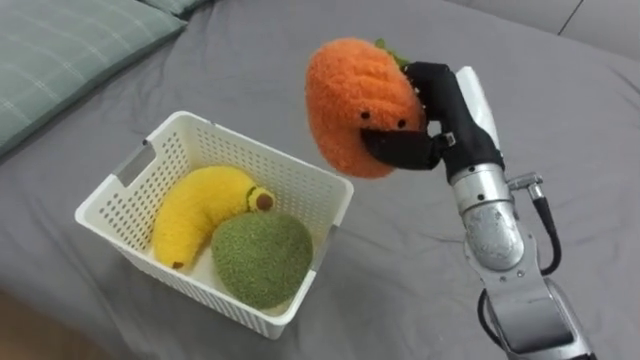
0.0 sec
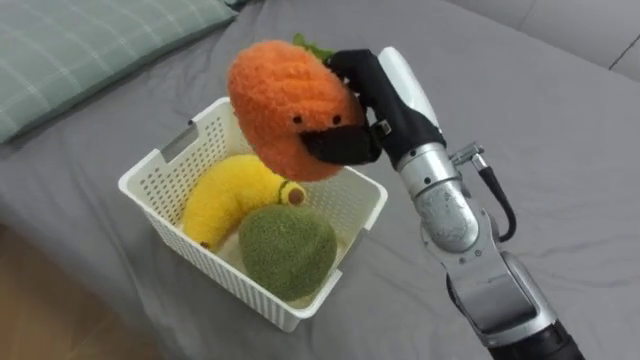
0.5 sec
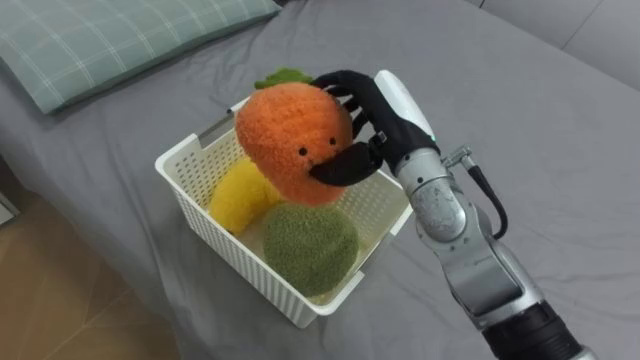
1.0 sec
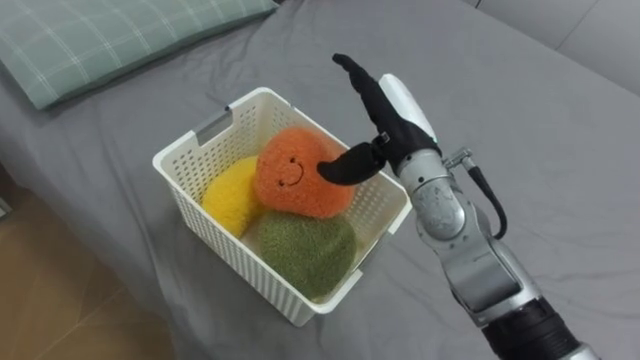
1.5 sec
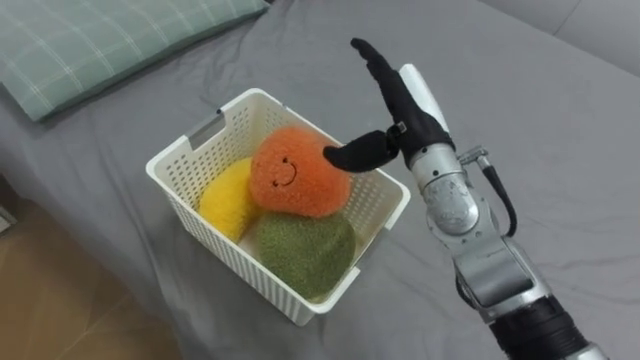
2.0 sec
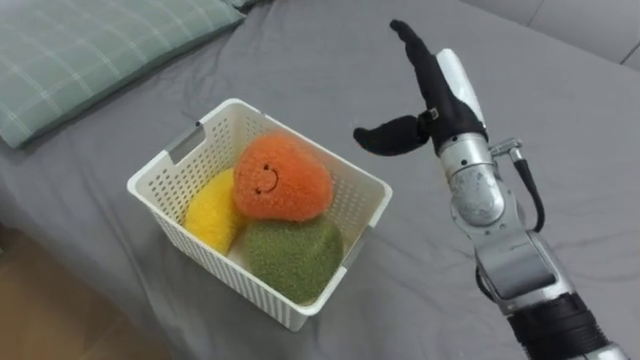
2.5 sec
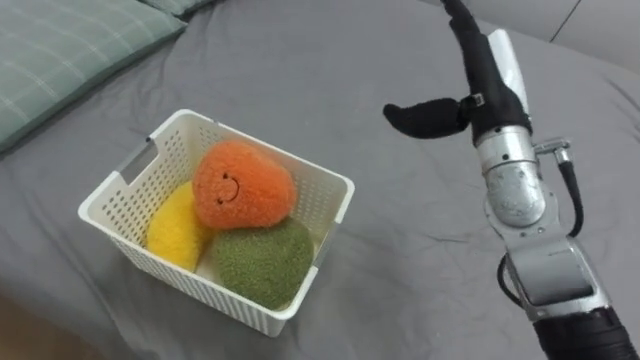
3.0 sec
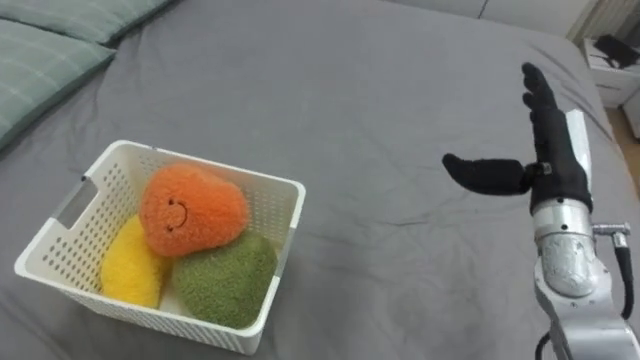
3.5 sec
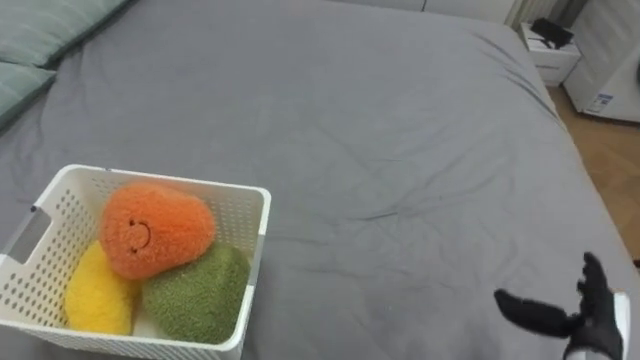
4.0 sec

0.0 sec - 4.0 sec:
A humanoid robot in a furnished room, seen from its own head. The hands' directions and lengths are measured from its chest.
Task of the whole recording: Put the toys on the bed into the basket on the left.
0.0 sec - 2.0 sec: The right hand is displaced to the left by about 5 cm, and opens its fingers.
2.0 sec - 4.0 sec: The right hand goes some 35 cm to the right, downward and backward.

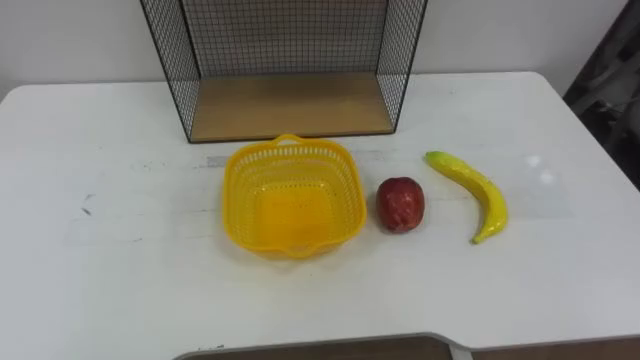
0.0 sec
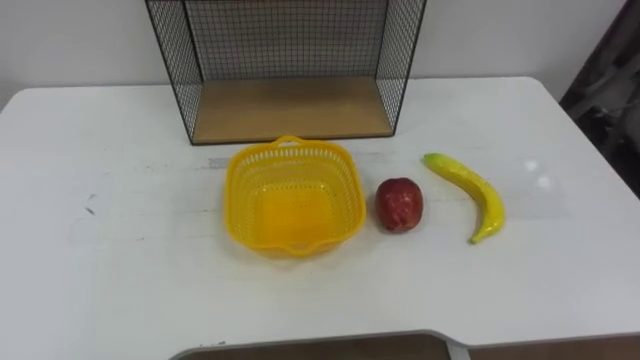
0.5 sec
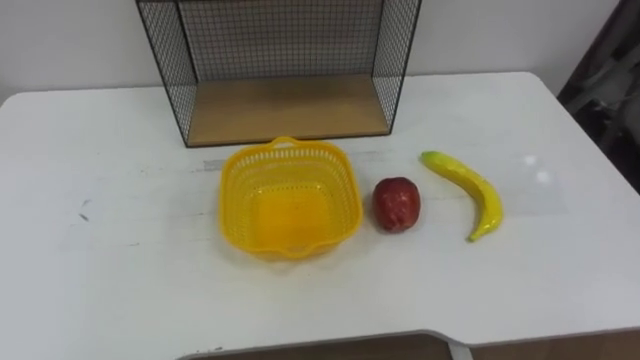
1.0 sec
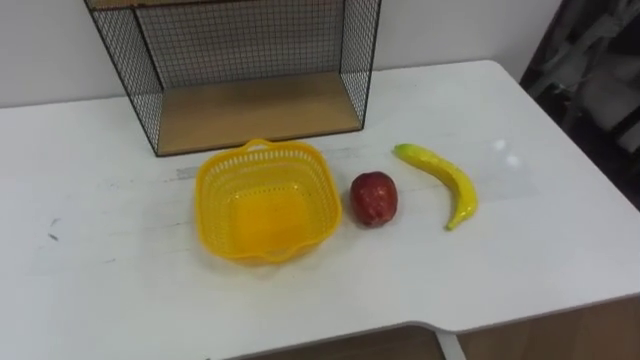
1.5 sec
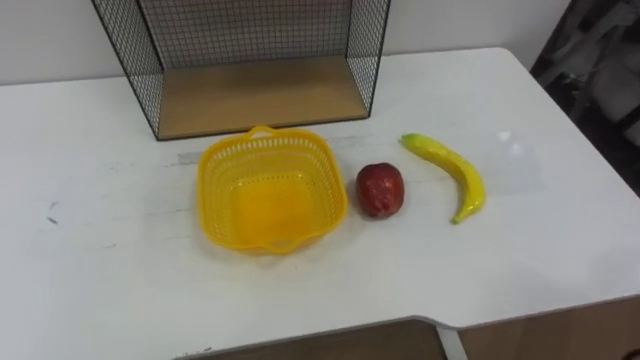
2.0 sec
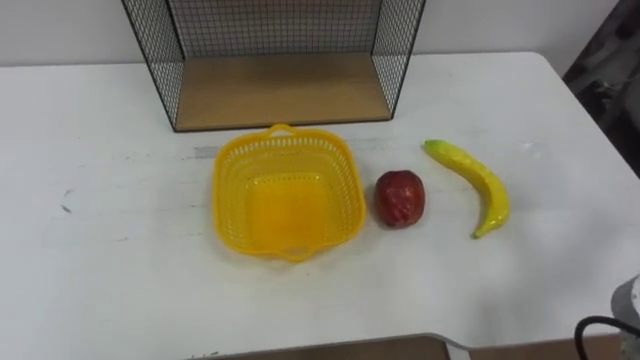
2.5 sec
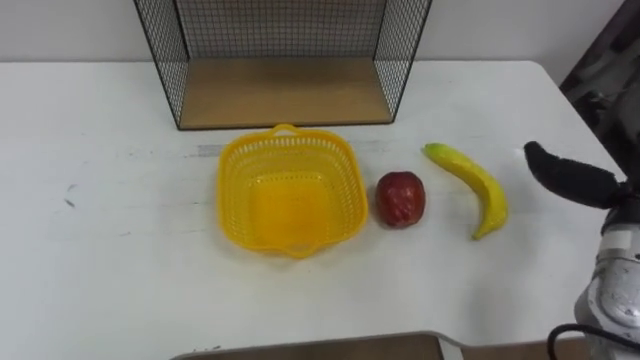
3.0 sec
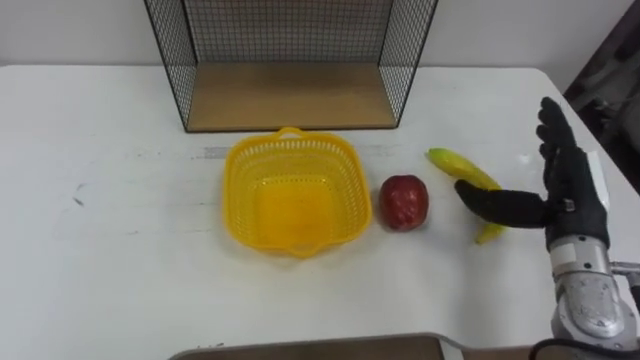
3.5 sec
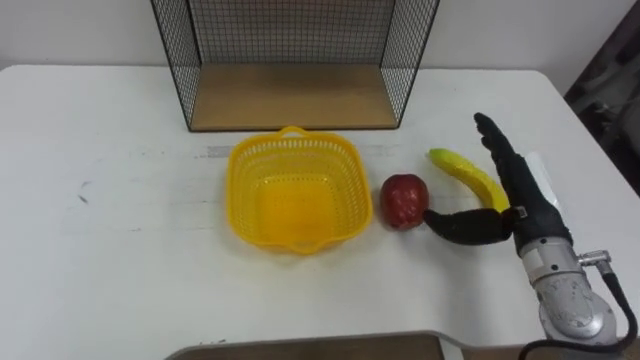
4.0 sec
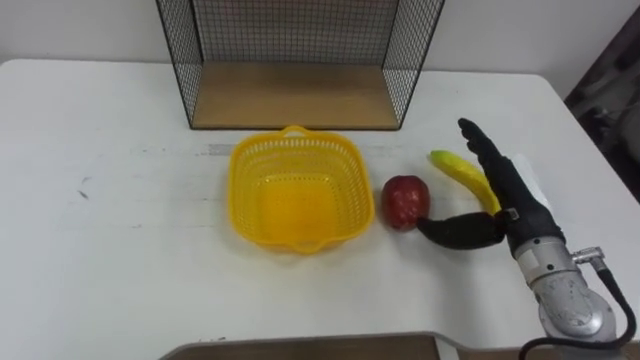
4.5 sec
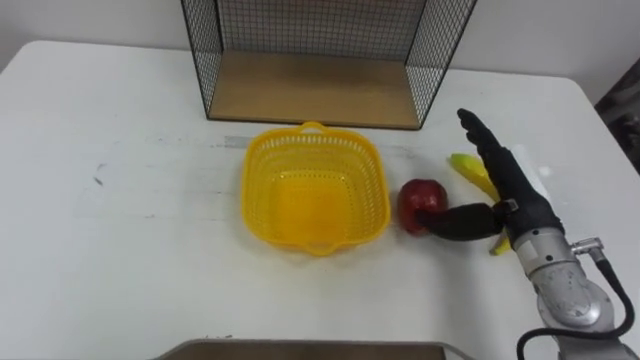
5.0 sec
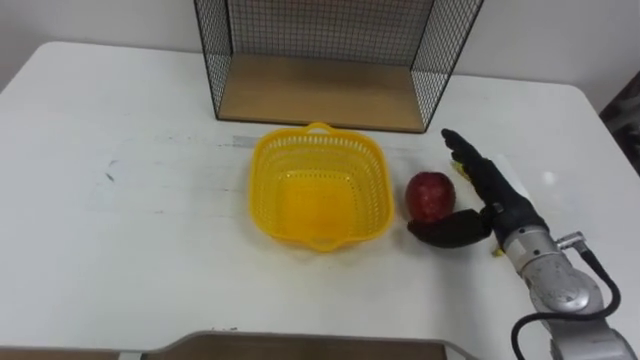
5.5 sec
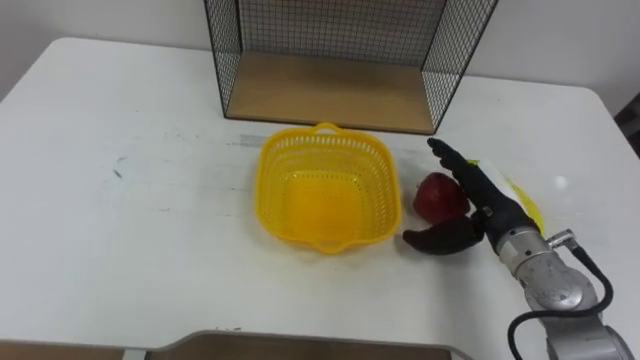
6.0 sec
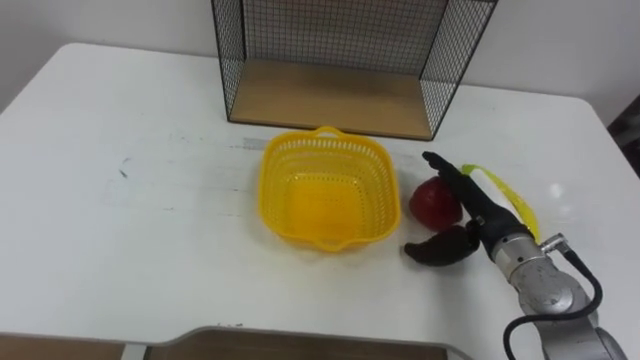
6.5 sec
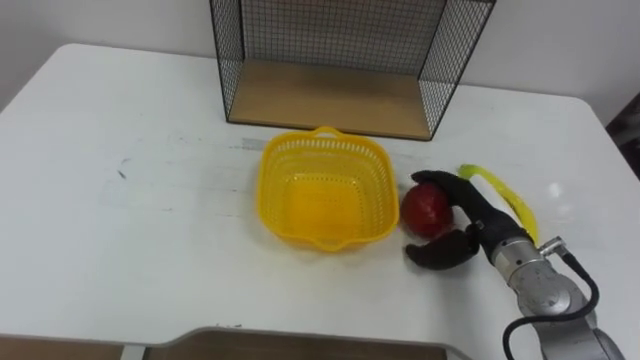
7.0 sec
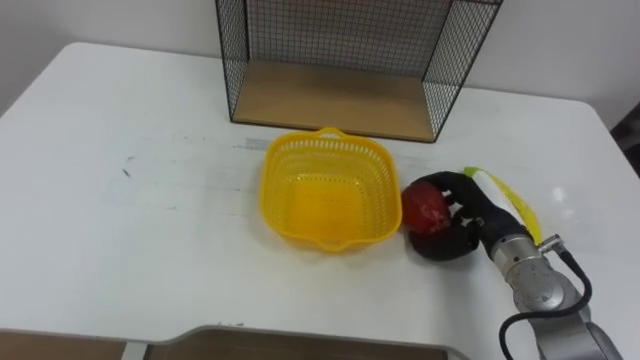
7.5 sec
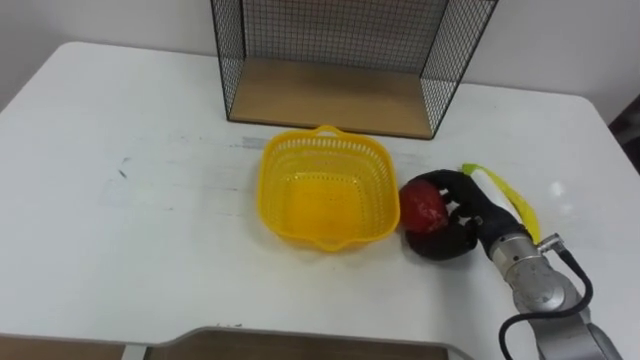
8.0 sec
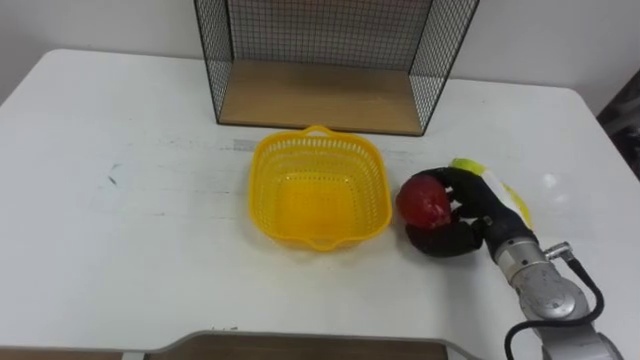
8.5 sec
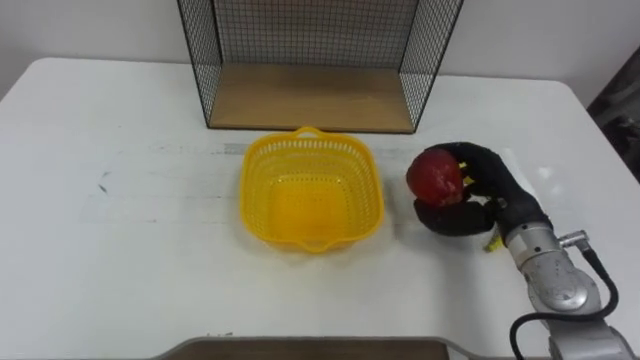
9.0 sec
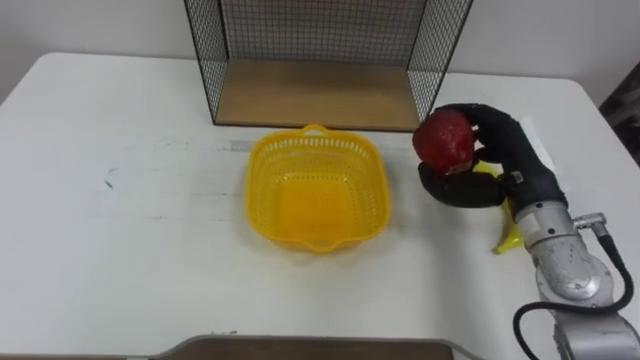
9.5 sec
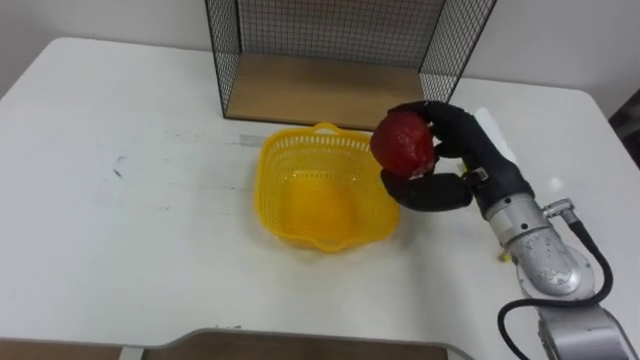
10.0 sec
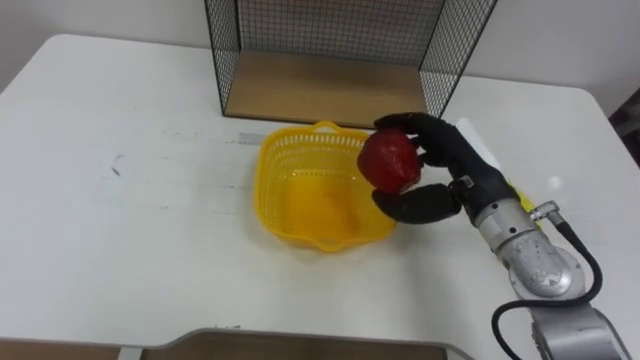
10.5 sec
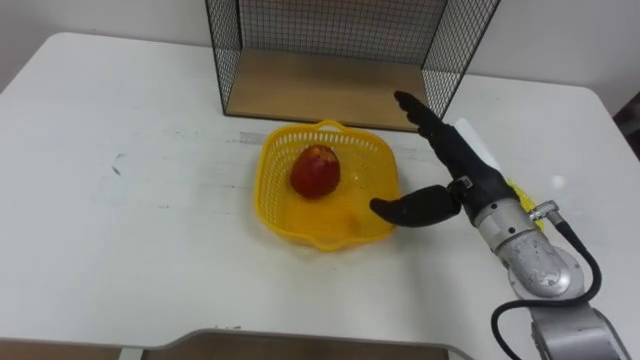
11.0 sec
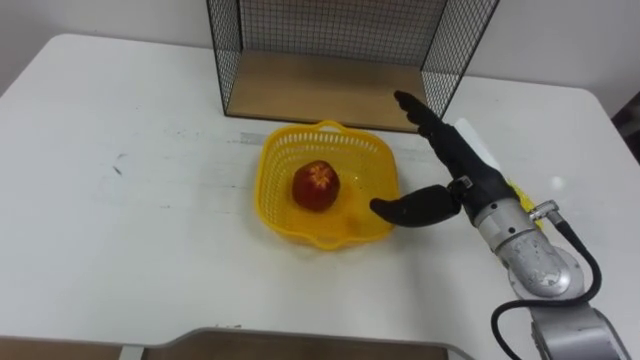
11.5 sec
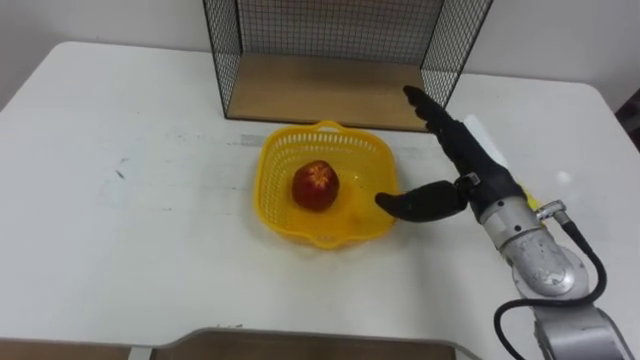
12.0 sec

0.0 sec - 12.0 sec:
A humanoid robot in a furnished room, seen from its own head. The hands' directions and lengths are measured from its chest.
Task of the whole recording: Put the fruit on the table into the basket, then place the basket on the shelf.
6.0 sec - 8.0 sec: The right hand closes.
8.0 sec - 10.0 sec: The right hand goes some 10 cm upward.
10.0 sec - 12.0 sec: The right hand opens up.

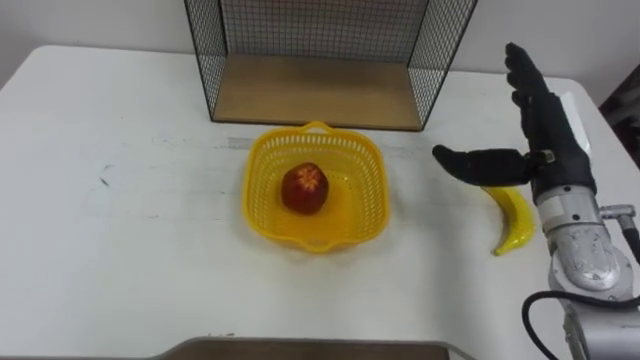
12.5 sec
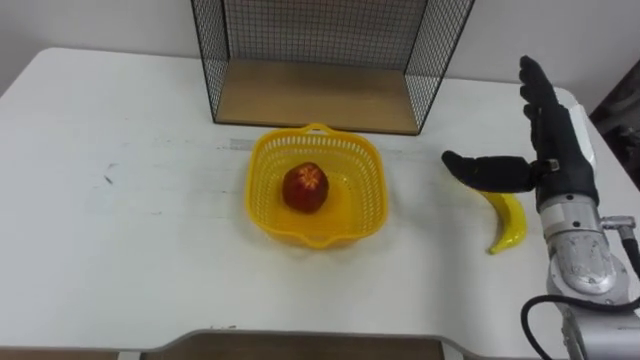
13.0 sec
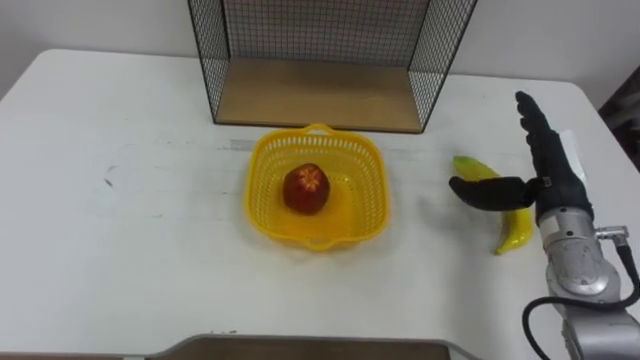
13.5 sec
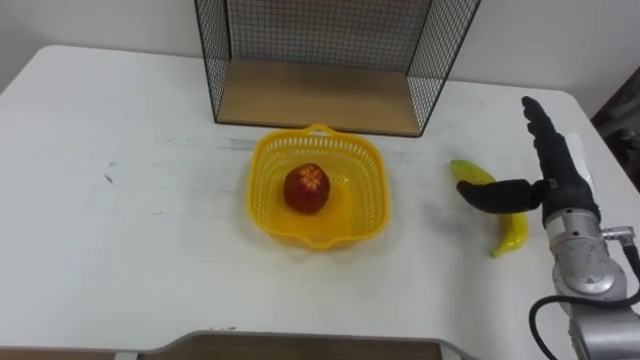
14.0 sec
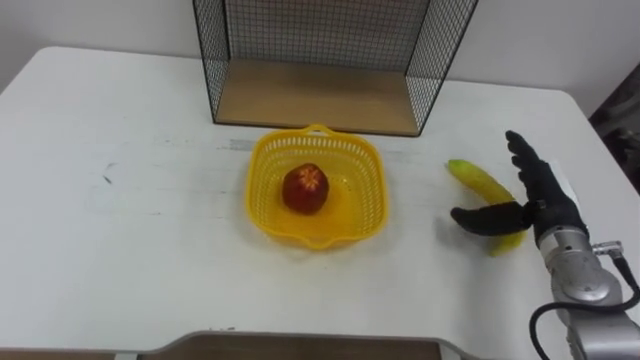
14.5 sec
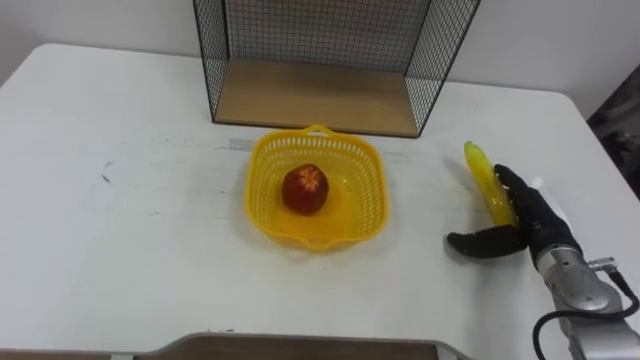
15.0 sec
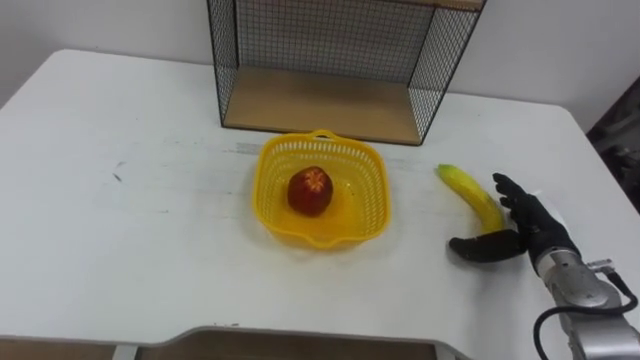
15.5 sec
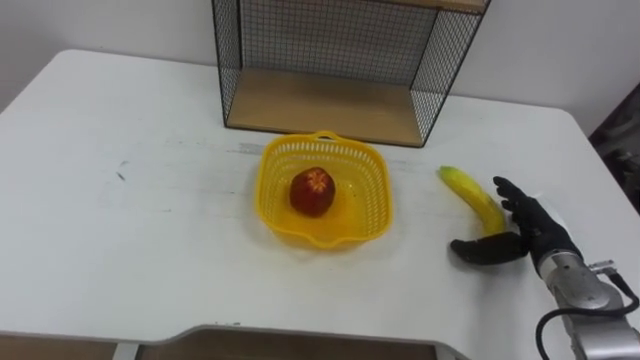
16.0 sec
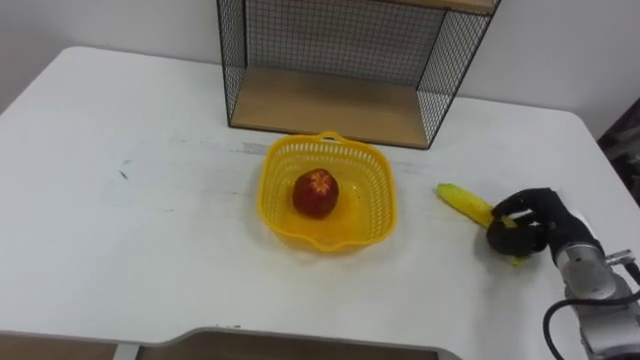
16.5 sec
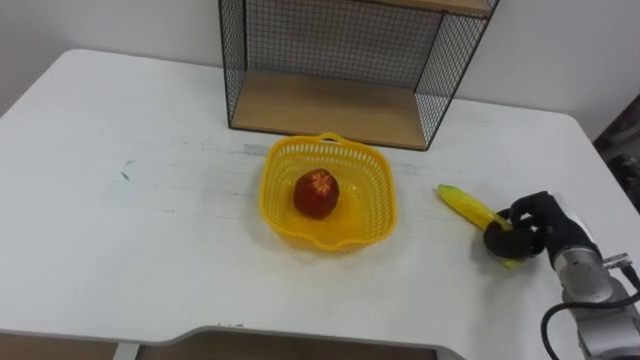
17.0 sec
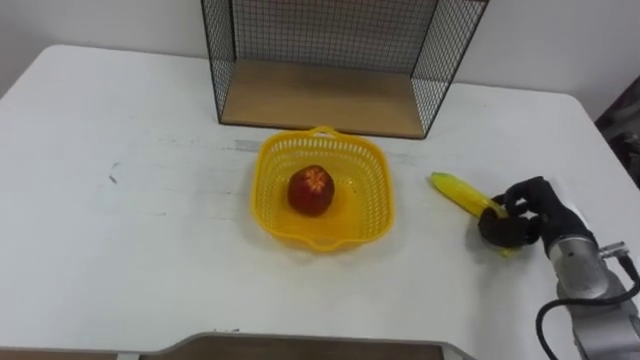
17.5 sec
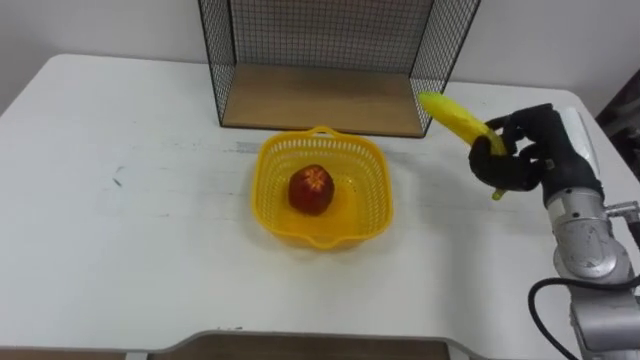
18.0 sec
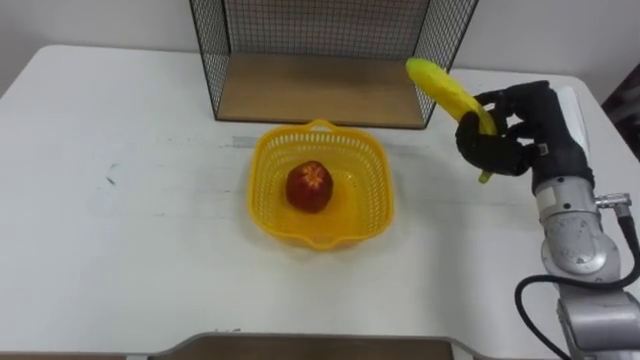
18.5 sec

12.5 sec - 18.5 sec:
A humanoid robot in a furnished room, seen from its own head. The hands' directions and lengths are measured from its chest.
Task of the whole recording: Put the fruit on the table into the basket, then place the basket on the shelf.
12.5 sec - 14.5 sec: The right hand shifts about 10 cm downward.
14.5 sec - 16.5 sec: The right hand heads downward, covering some 5 cm, and closes up.
16.5 sec - 18.5 sec: The right hand goes roughly 15 cm upward and to the left.
